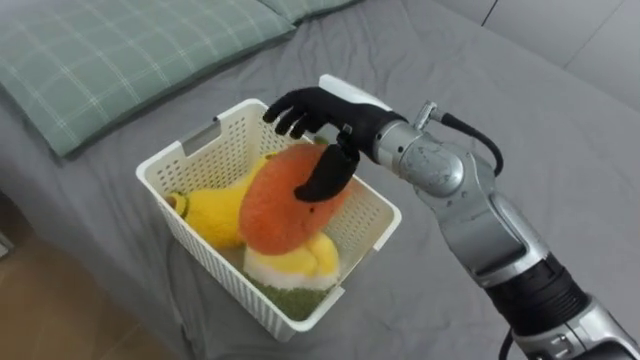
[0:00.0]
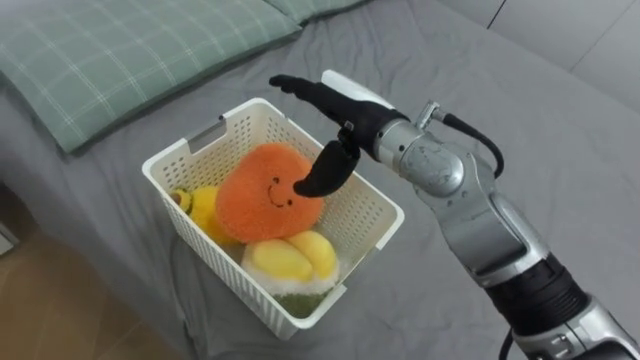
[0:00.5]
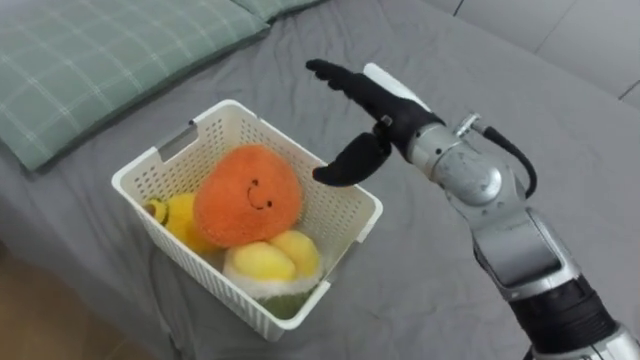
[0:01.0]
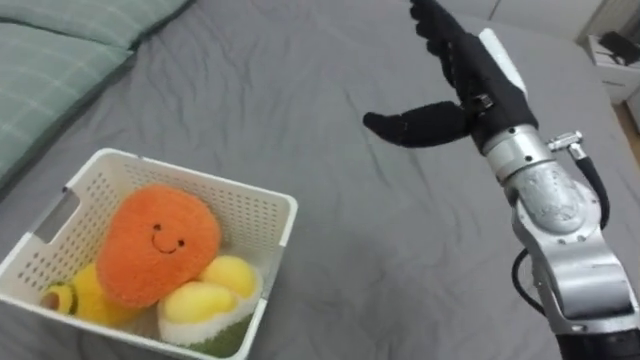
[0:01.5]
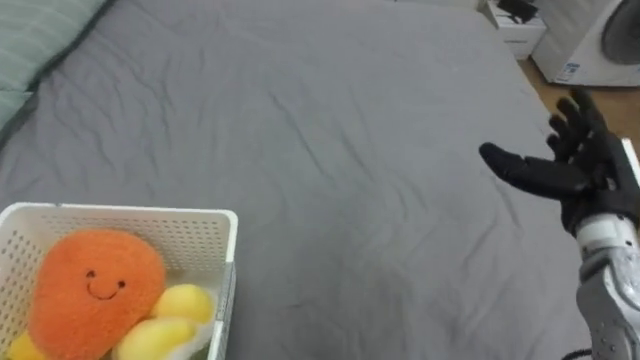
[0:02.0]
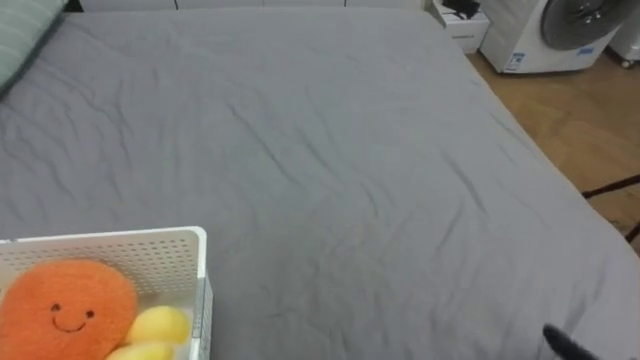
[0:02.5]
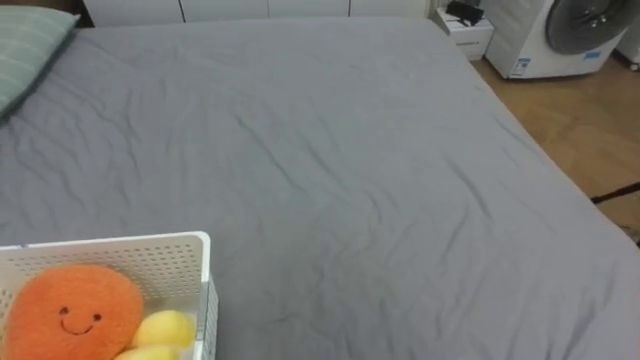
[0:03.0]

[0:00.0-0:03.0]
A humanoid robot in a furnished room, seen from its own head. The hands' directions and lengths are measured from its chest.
Task of the whole recording: Put the toys on the bed into the basket on the left.
0:00.0 to 0:01.5: The right hand is displaced to the right by roughly 15 cm.

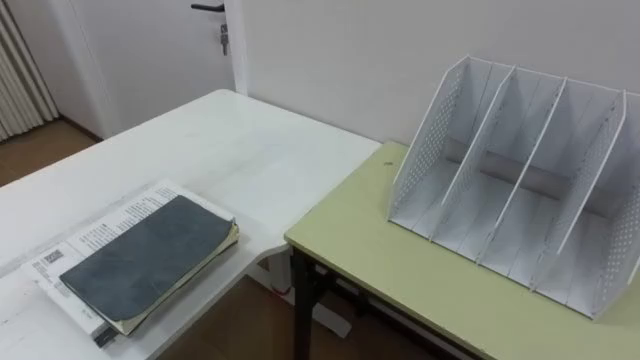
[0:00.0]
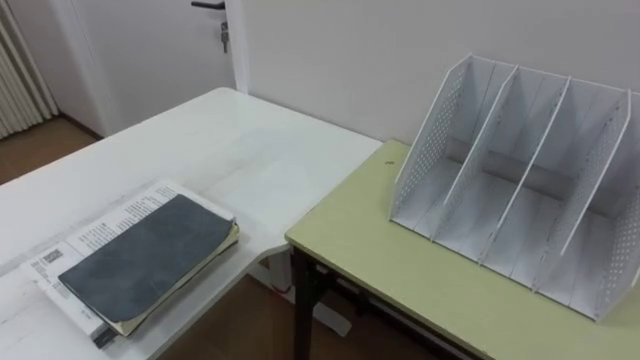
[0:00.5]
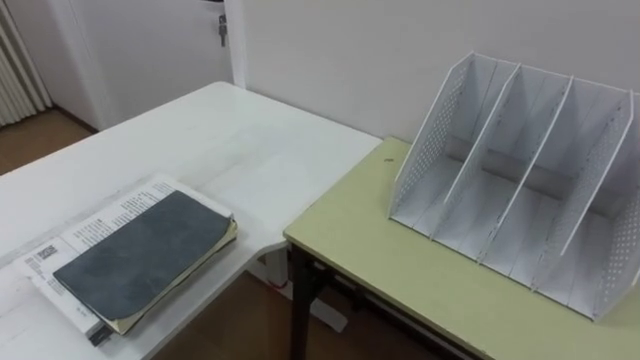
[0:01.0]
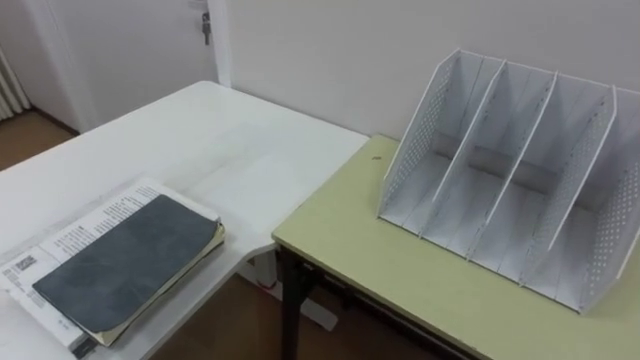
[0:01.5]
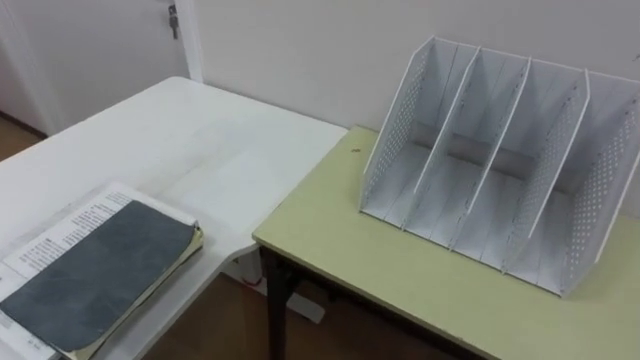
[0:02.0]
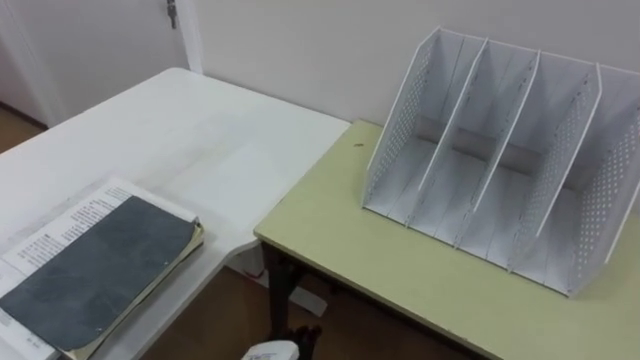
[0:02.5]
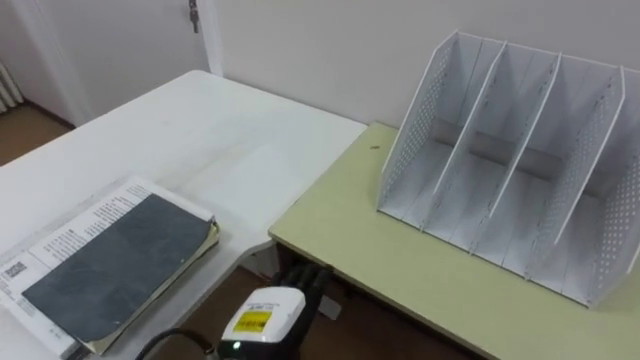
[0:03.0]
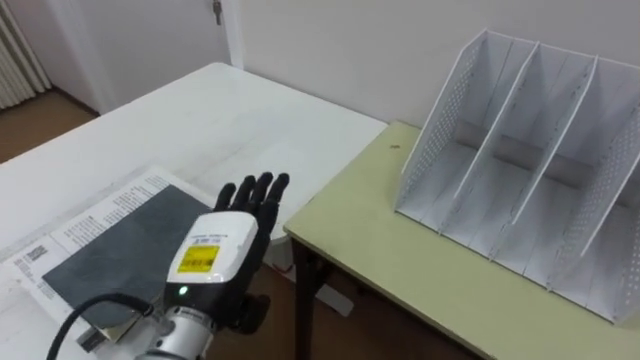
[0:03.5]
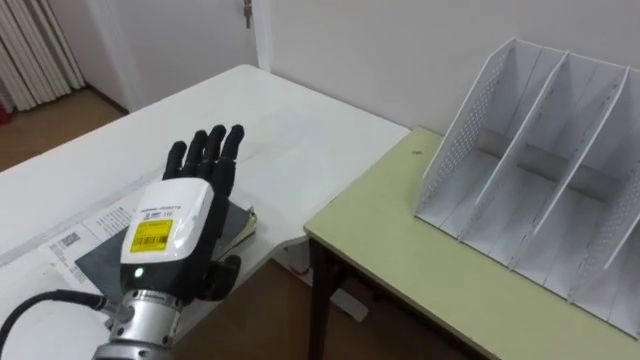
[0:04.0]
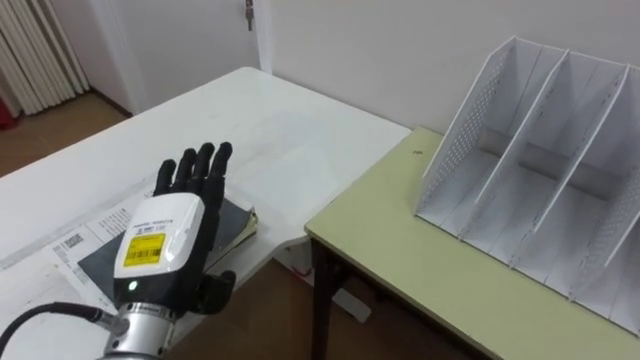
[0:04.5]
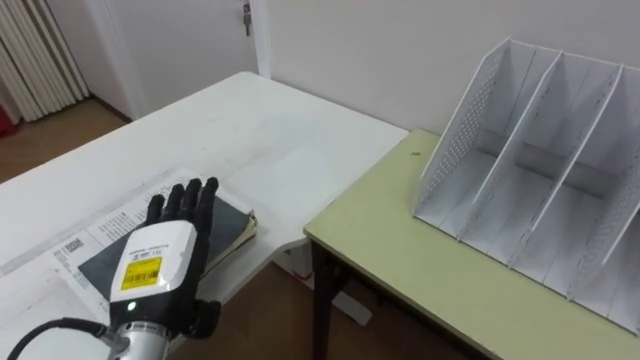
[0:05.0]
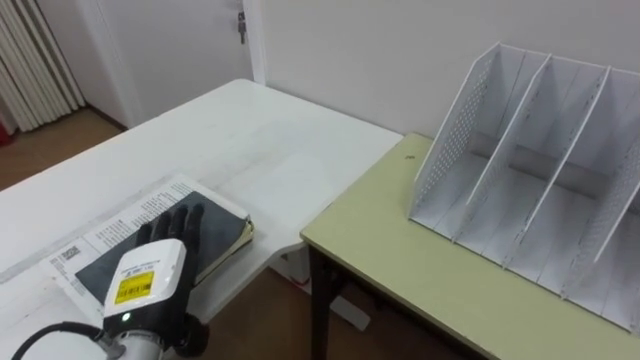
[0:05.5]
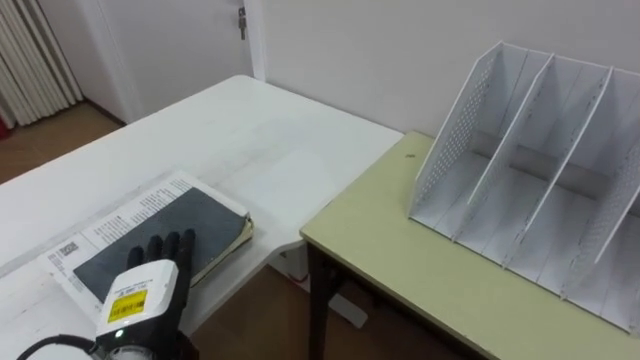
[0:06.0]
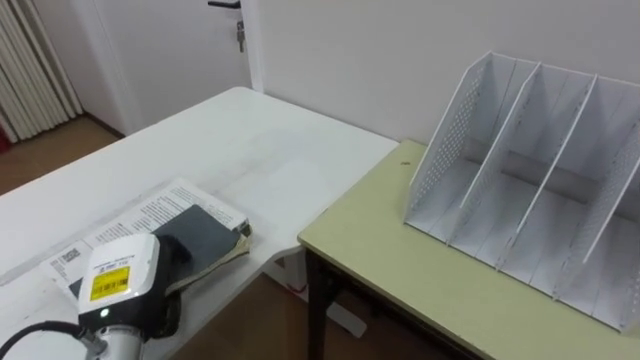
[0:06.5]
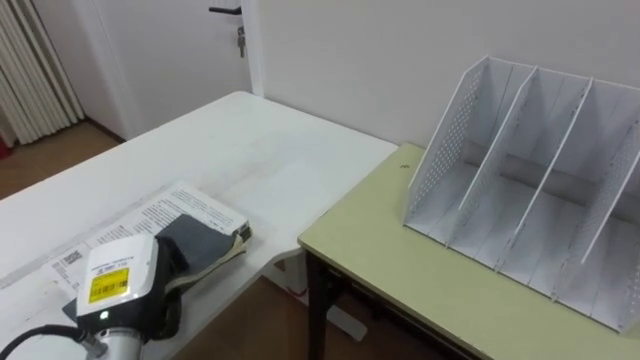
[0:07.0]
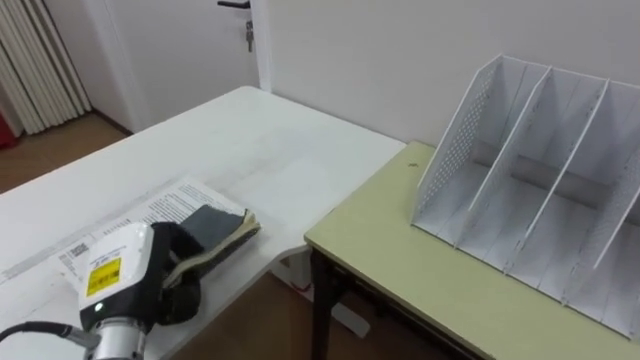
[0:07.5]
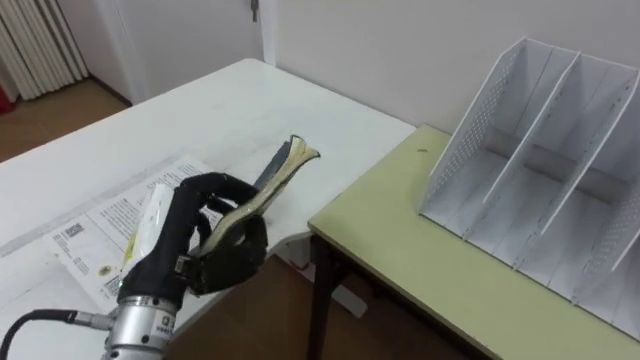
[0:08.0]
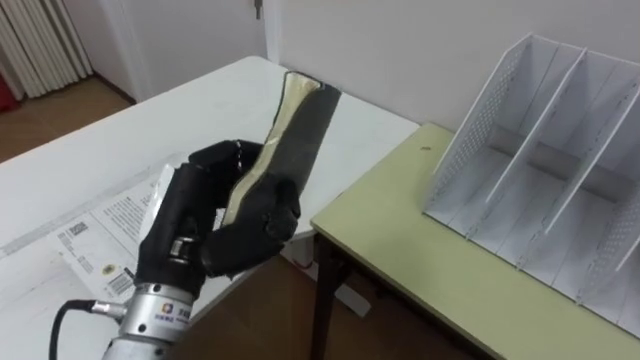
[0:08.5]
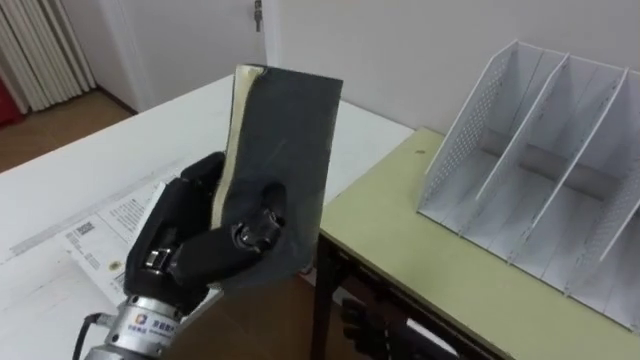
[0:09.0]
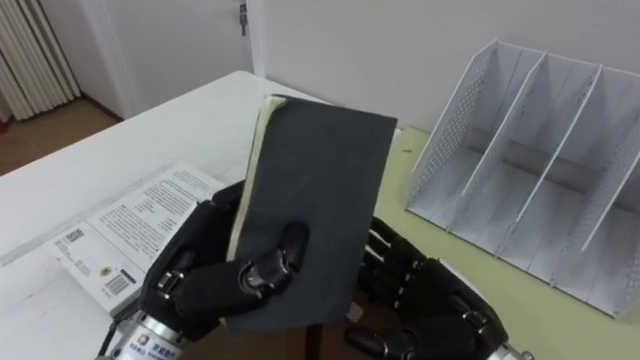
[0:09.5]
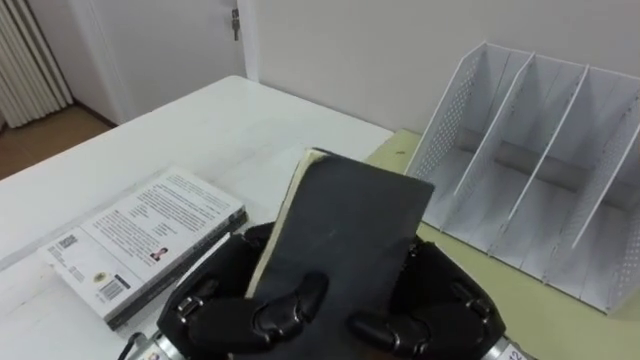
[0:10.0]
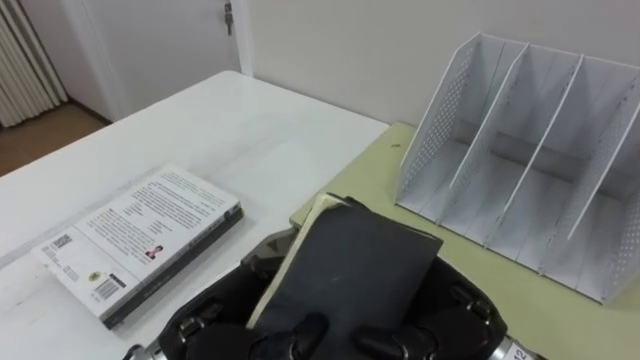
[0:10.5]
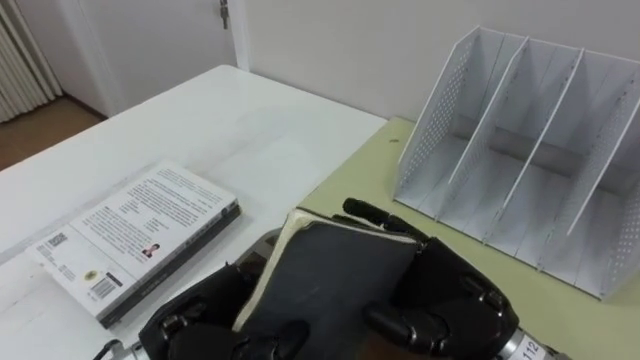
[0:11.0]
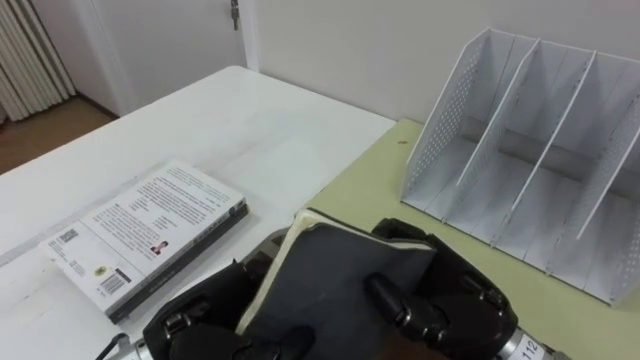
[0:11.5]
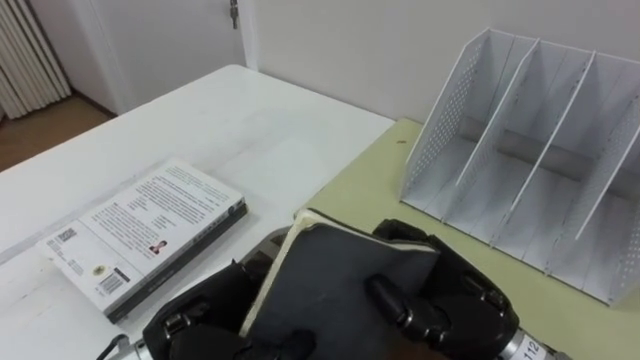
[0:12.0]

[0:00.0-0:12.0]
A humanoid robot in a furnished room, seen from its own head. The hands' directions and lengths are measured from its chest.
Task of the whole recording: Put the books on the table onto the bookshelf.
0:04.0 to 0:06.0: The left hand moves downward and to the left, approximately 10 cm.
0:06.0 to 0:08.0: The left hand heads upward, covering approximately 10 cm, and closes.
0:08.0 to 0:10.0: The left hand is displaced to the right by some 5 cm.
0:10.0 to 0:12.0: The right hand closes.

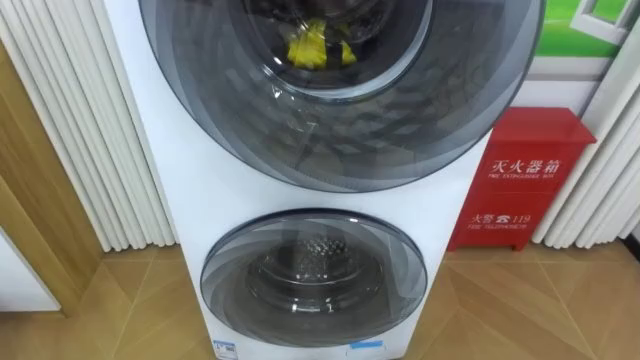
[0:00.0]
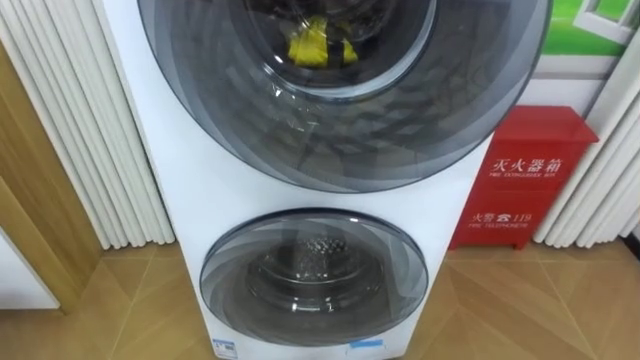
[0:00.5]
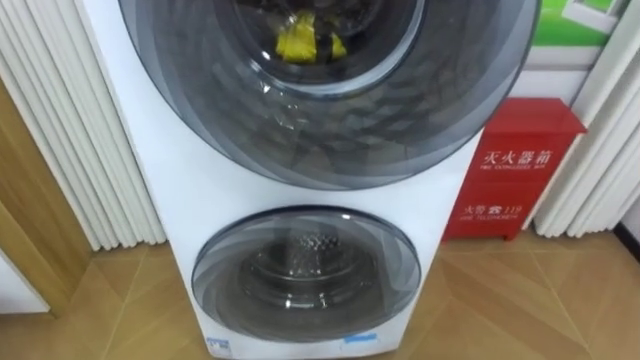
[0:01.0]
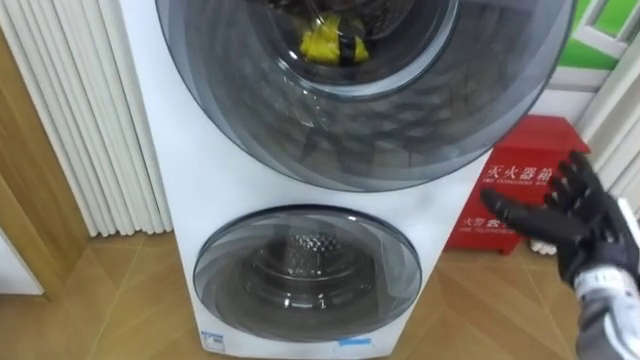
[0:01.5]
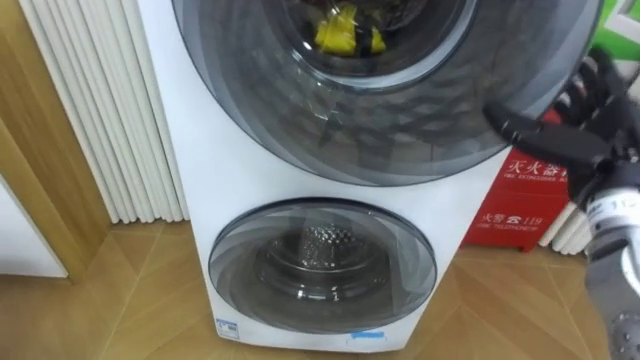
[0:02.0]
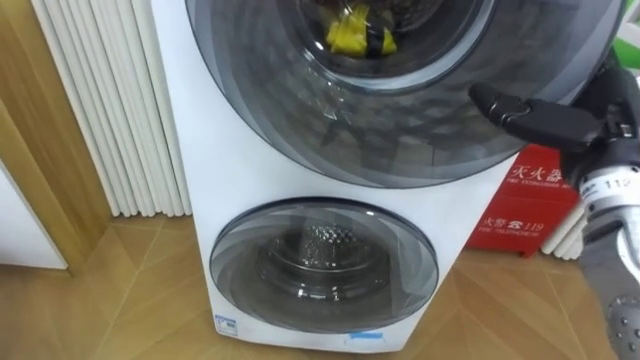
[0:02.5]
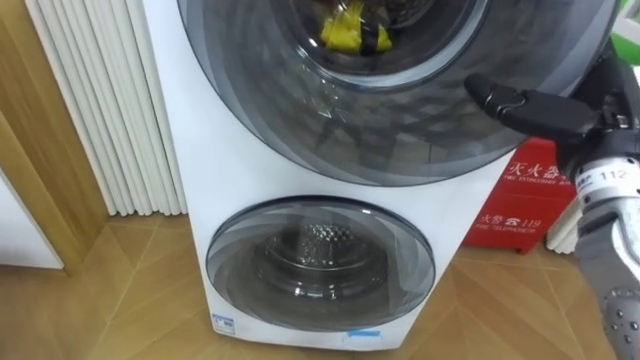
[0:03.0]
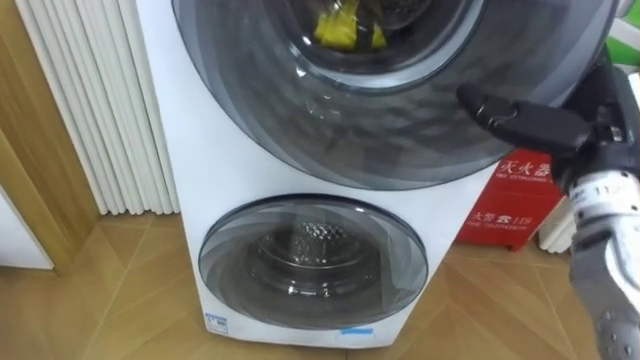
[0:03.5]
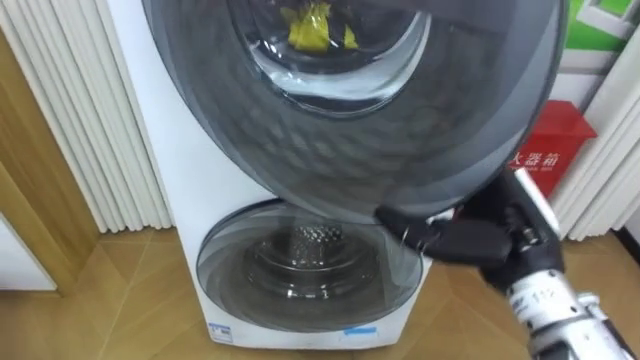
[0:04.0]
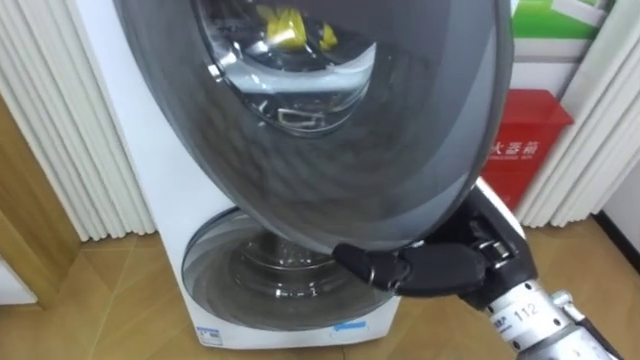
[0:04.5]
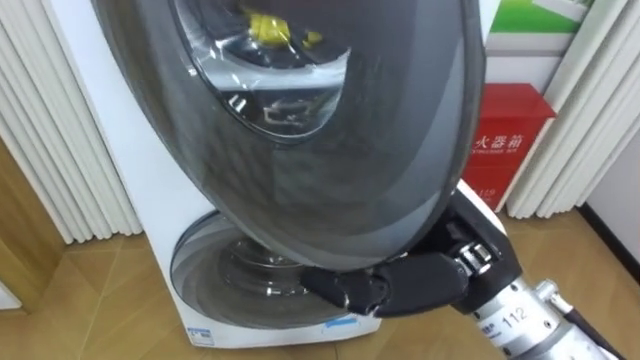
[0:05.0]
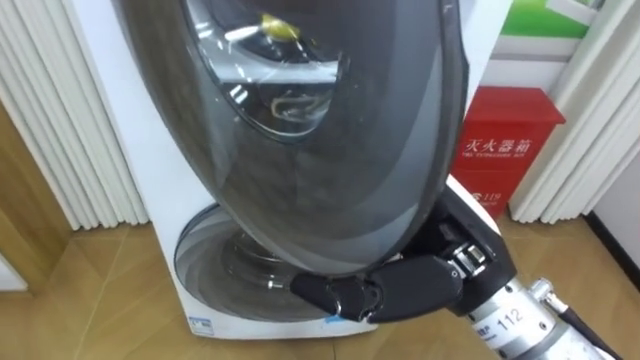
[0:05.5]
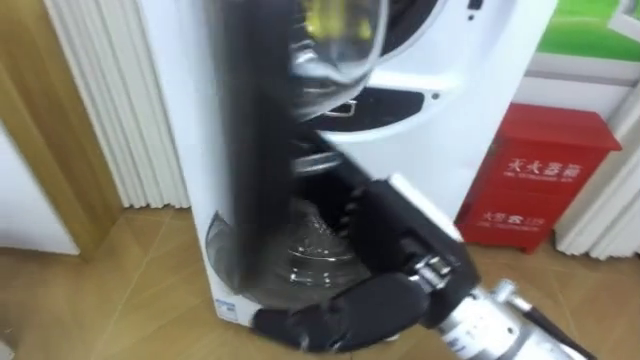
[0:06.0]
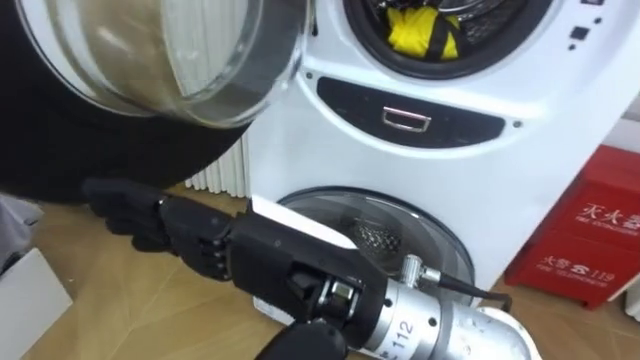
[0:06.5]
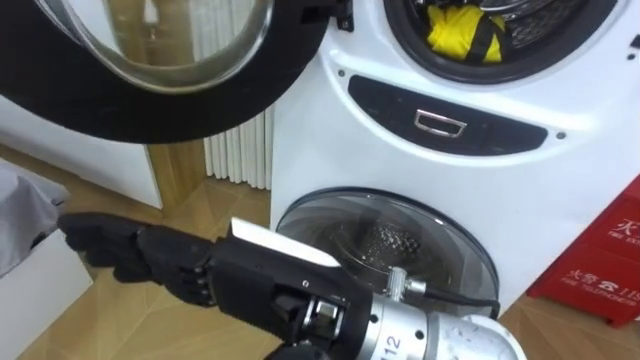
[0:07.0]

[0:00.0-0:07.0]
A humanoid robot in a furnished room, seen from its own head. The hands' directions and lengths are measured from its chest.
Task of the whole recording: Open the washing machine door, take out the yellow clothes, place them in the box on the right, and close the washing machine door.
0:03.5 to 0:05.0: The right hand travels to the left and backward by approximately 15 cm.
0:05.0 to 0:07.0: The right hand travels to the left and backward by roughly 15 cm.
